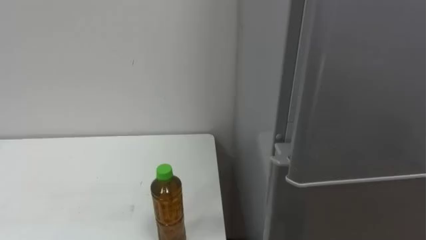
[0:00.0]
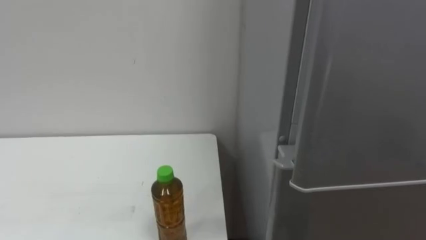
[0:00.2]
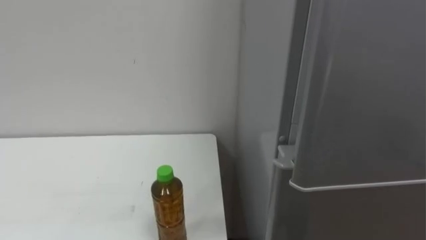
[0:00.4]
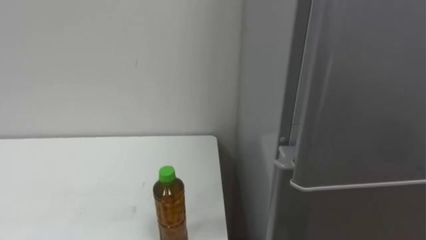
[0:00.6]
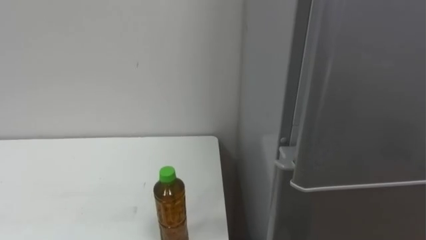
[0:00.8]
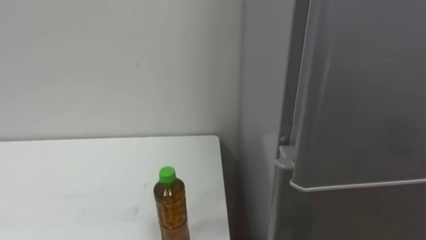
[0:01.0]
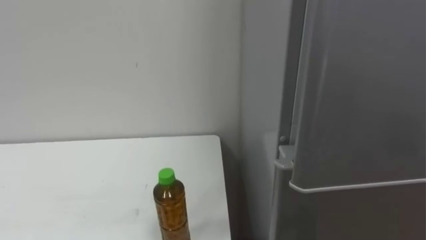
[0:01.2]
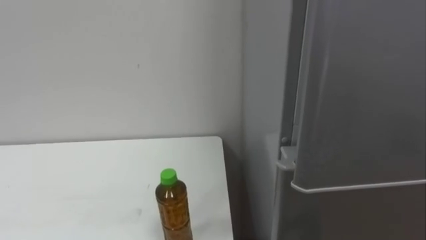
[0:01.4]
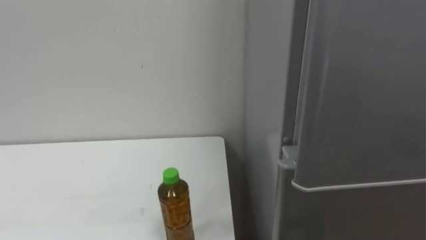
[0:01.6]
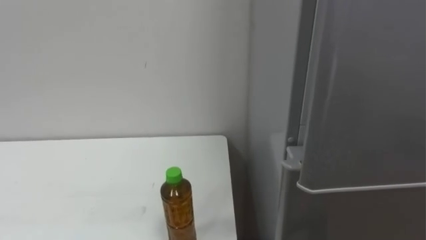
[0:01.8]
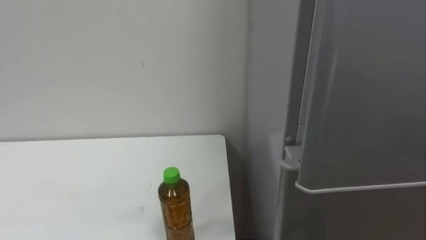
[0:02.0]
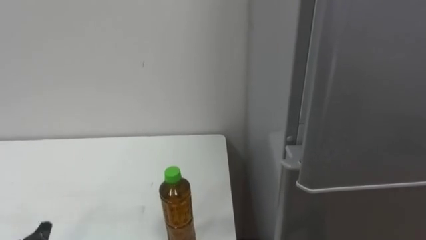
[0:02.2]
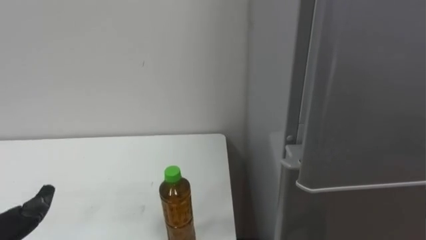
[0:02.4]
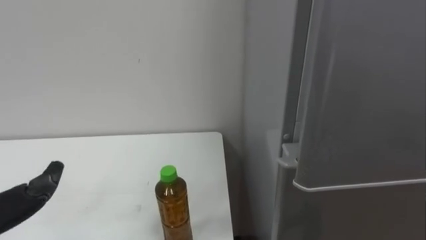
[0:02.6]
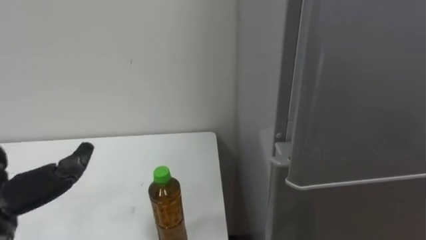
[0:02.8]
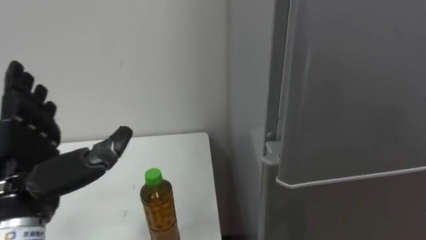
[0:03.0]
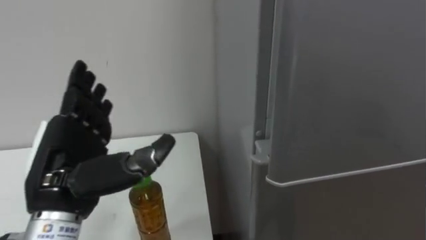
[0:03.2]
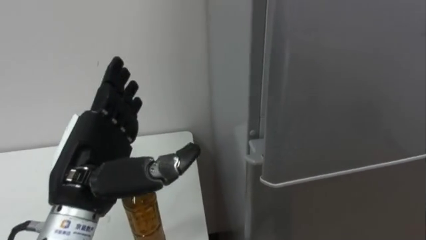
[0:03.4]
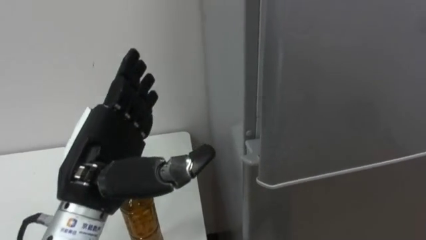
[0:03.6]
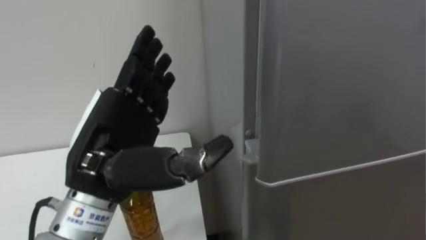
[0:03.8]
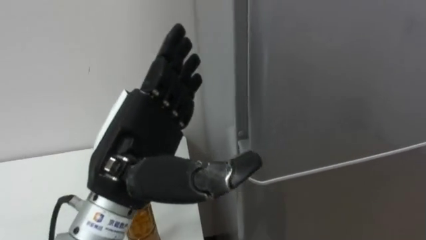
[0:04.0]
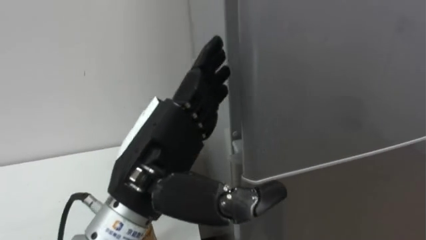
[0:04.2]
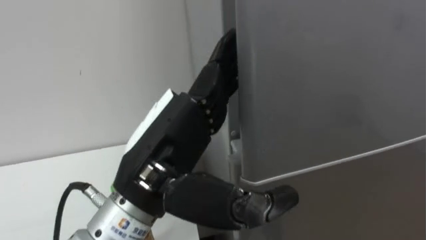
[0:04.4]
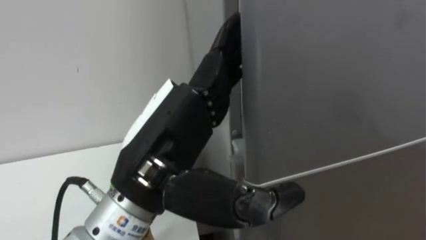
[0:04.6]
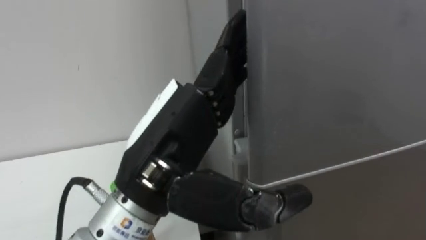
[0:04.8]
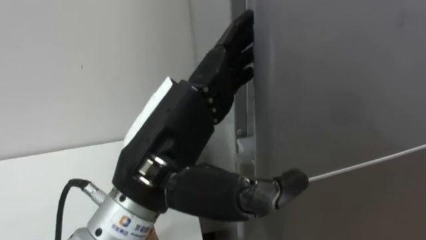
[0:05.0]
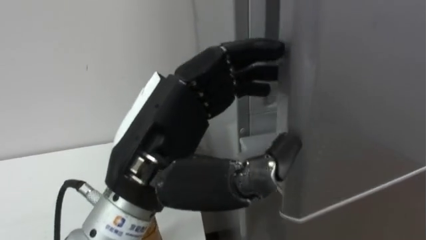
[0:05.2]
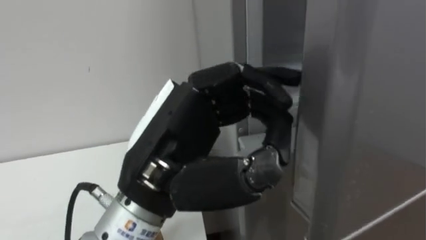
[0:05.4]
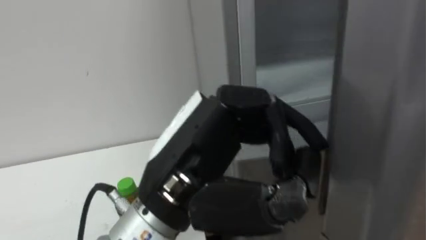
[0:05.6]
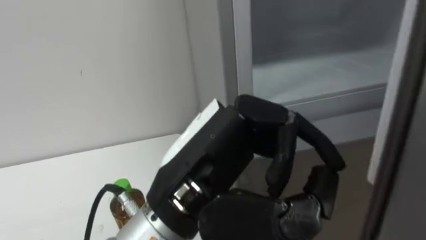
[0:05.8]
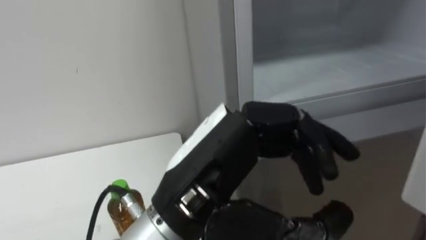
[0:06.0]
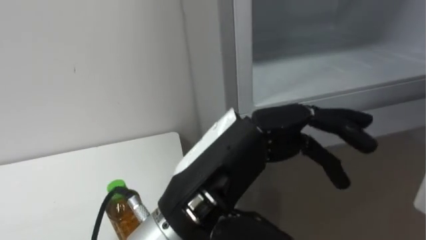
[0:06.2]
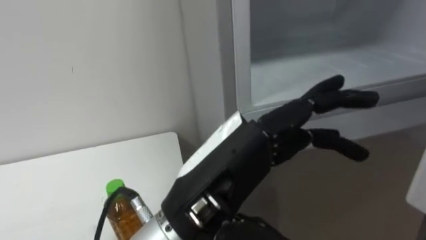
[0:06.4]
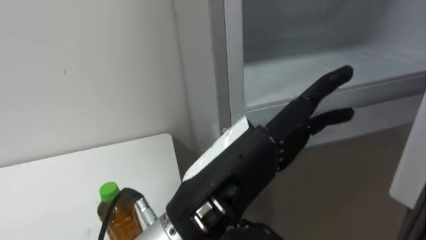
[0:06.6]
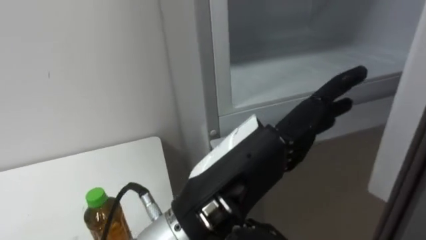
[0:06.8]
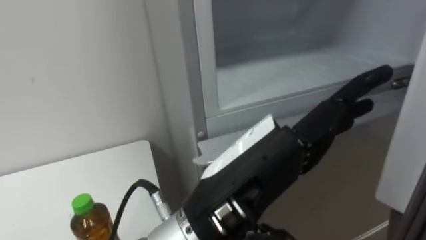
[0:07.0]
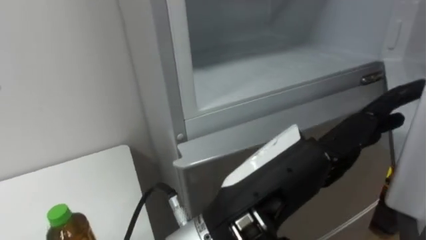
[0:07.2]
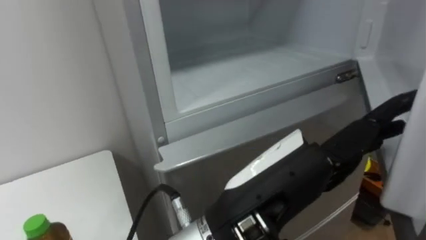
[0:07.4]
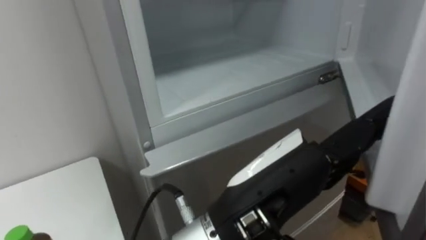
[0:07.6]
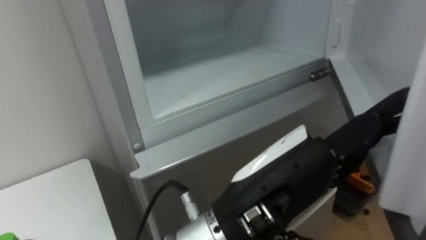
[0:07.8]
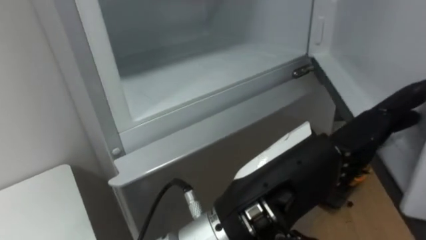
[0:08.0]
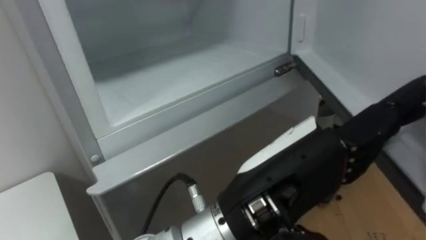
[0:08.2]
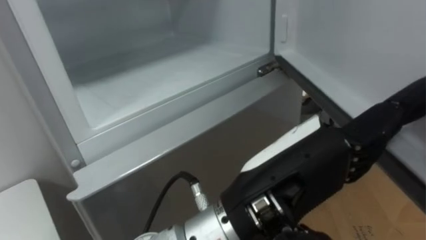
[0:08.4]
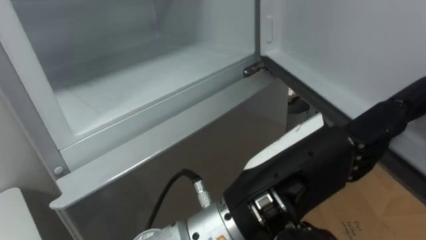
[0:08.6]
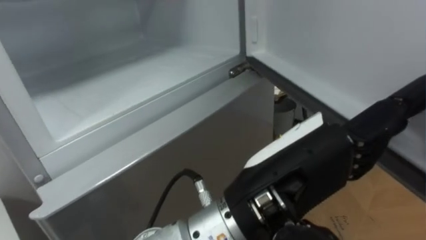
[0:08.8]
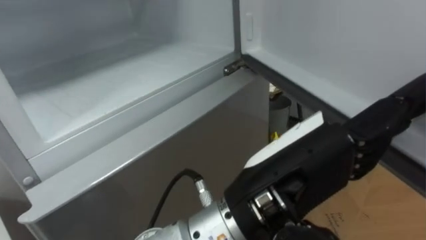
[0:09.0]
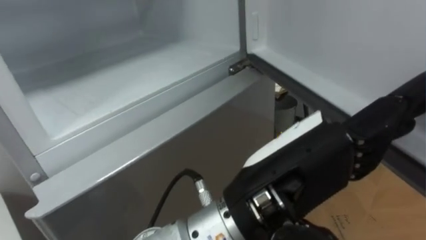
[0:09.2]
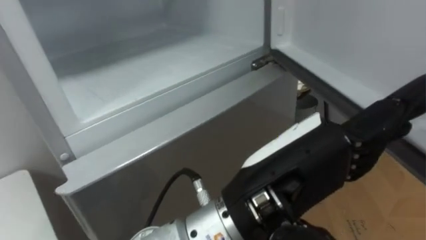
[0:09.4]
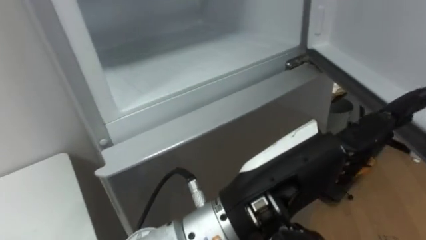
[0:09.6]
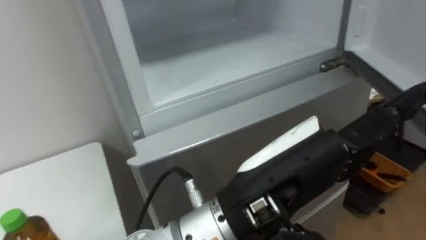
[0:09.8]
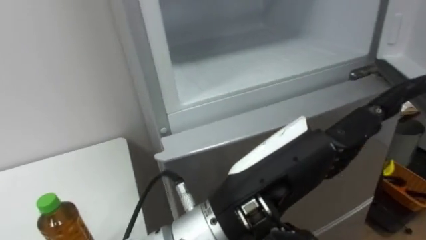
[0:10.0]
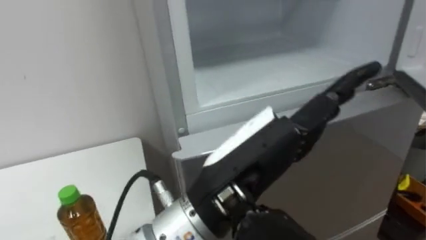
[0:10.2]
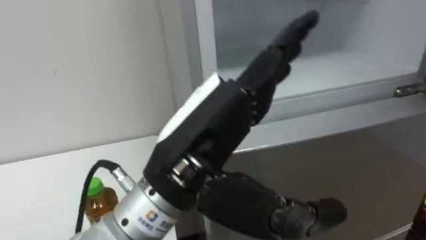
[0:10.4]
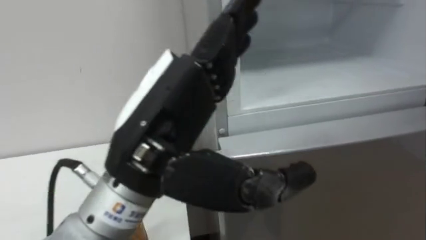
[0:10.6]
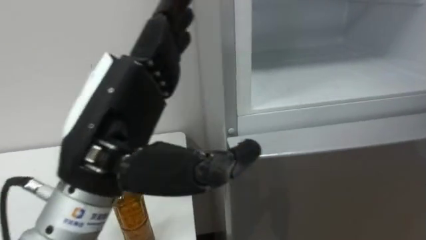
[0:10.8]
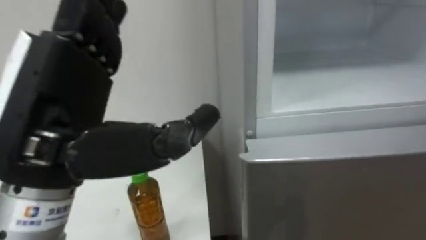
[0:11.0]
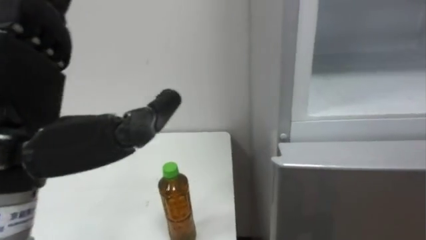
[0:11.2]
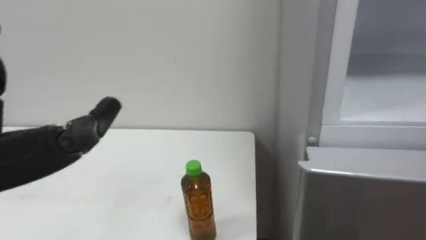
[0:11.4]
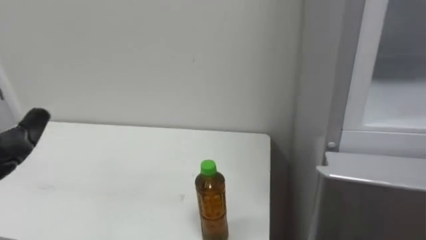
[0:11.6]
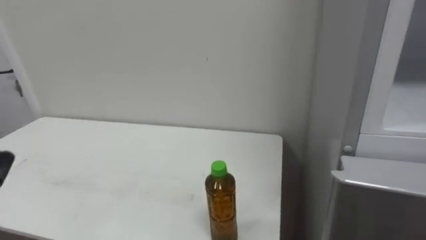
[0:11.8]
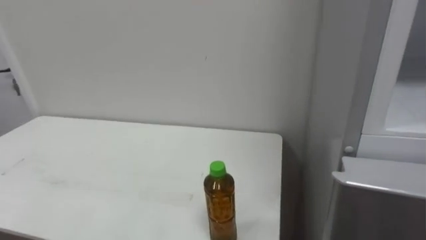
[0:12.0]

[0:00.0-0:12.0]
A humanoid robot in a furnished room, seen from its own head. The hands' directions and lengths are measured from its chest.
Task of the whole recording: Open the upper refrigerator door, put the drink from the table into the refrigerator, and then close the refrigerator door.
0:03.0 to 0:04.4: The left hand travels to the right by roughly 15 cm.
0:04.4 to 0:06.0: The left hand closes up.
0:06.0 to 0:07.6: The left hand goes some 5 cm to the right, and opens.
0:09.0 to 0:10.4: The left hand goes approximately 5 cm to the left.

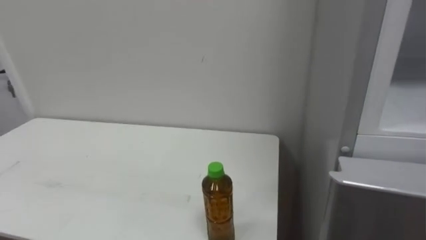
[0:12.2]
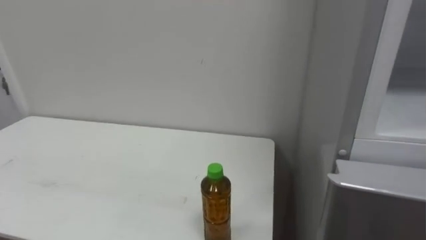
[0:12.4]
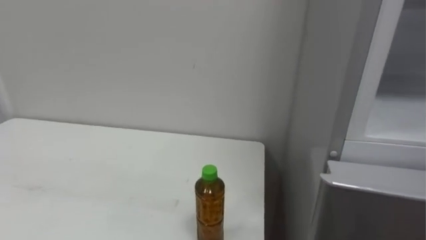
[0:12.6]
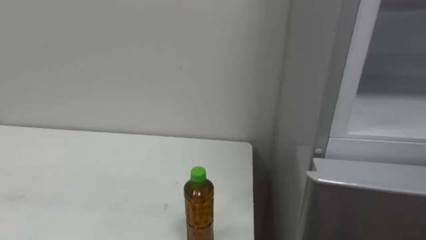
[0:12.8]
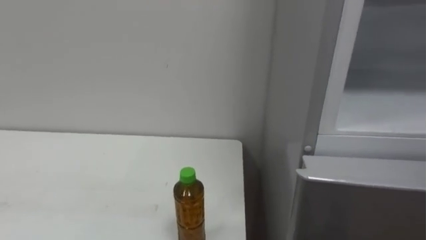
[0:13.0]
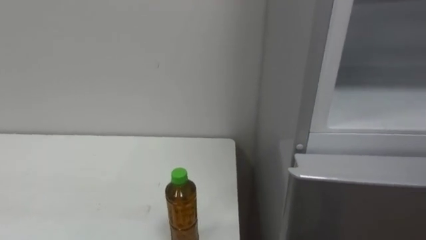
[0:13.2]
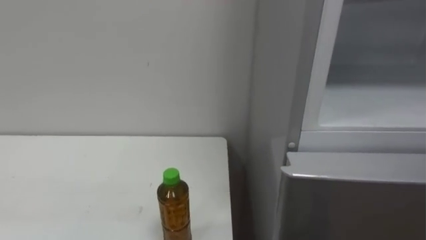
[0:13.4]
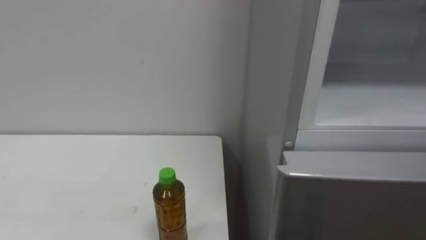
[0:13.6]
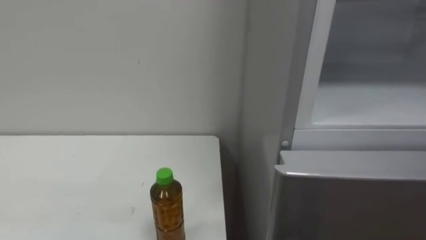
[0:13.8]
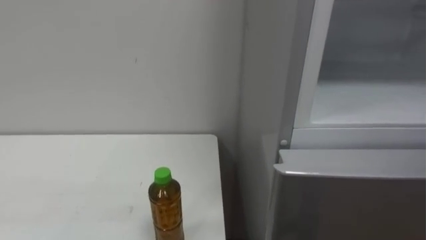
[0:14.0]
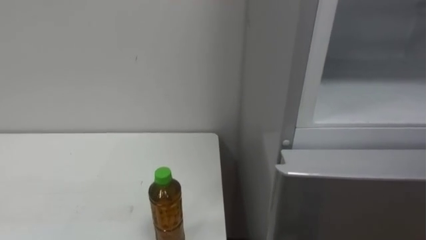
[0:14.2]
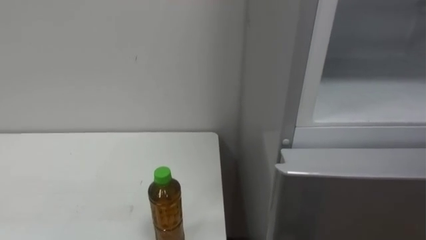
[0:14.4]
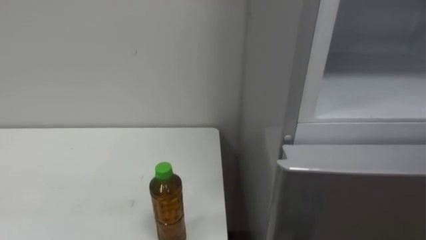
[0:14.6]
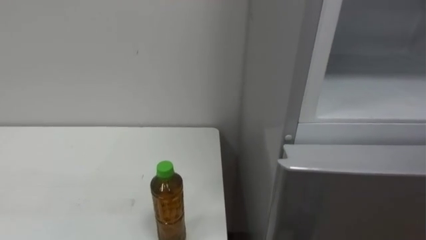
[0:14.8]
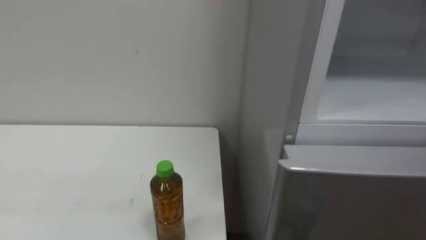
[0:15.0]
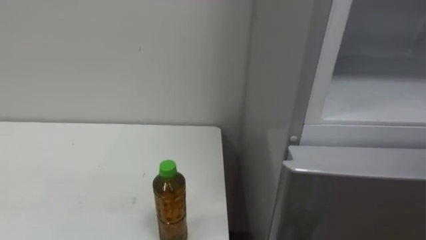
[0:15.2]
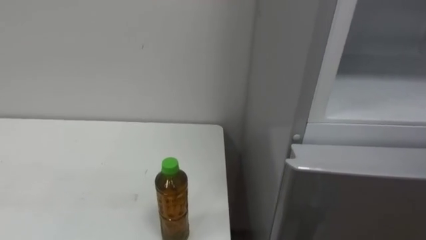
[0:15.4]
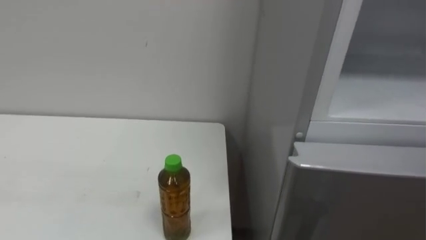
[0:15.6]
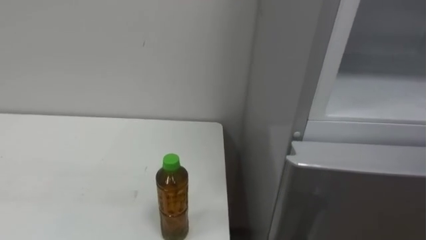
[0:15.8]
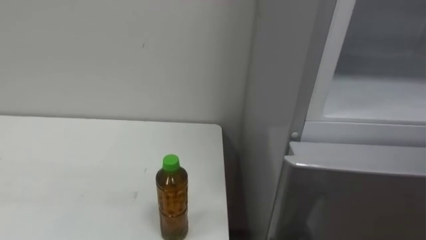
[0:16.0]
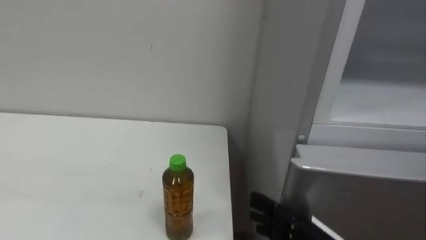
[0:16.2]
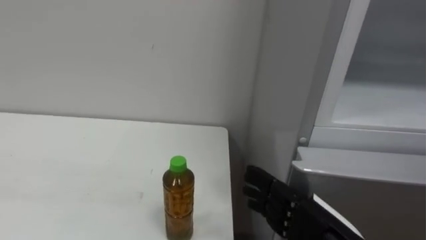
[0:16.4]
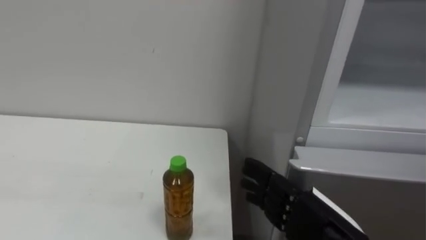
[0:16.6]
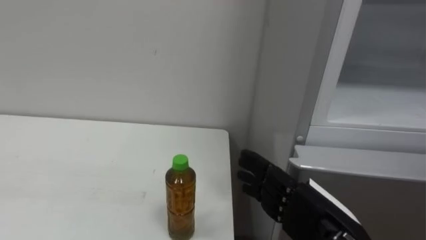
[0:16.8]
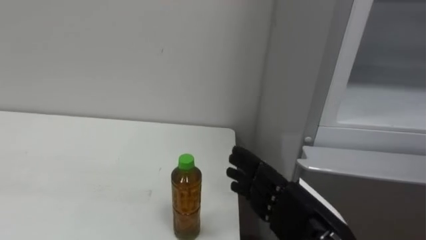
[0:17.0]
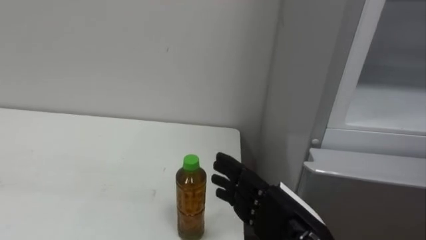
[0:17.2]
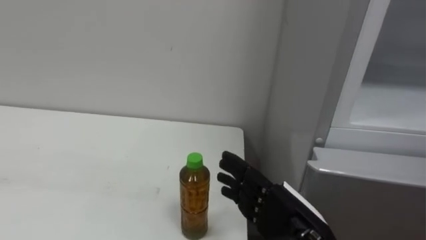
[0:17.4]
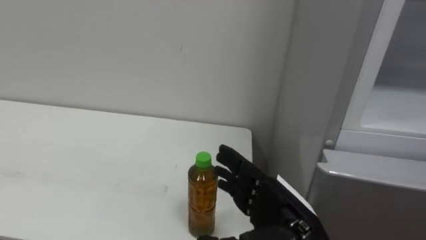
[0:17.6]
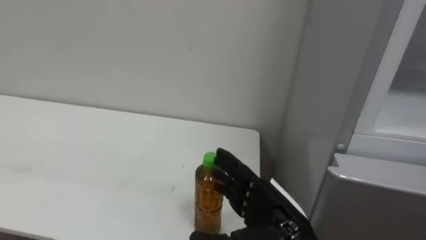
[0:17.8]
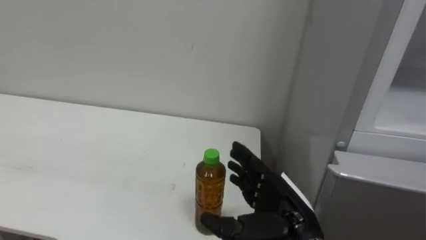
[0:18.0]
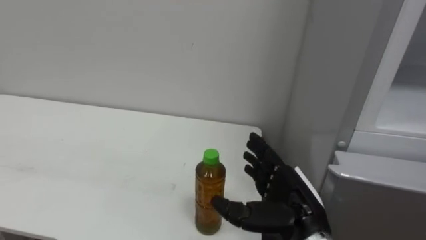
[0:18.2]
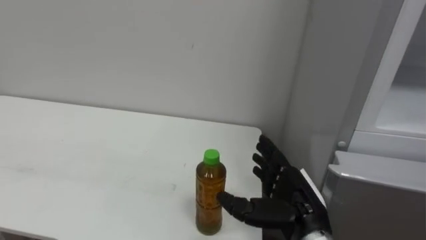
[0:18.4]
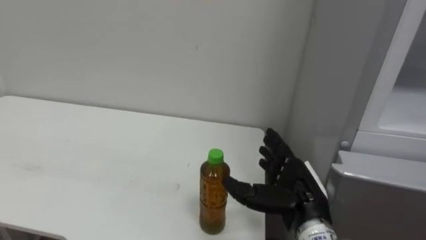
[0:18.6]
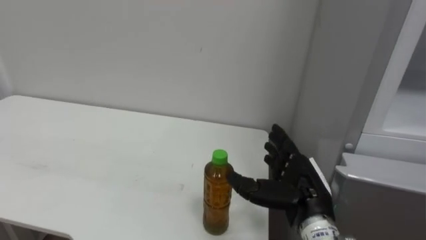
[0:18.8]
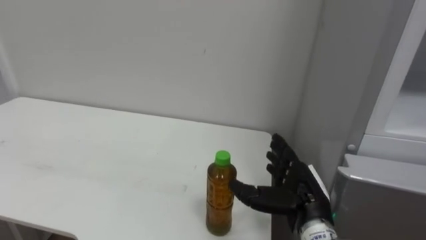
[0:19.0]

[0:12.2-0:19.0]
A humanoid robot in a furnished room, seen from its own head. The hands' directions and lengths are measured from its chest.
Task of the whole recording: Open the upper refrigerator door, put the drink from the table into the refrigerator, and then close the refrigerator door.
0:17.6 to 0:19.0: The right hand is displaced forward by some 5 cm.
